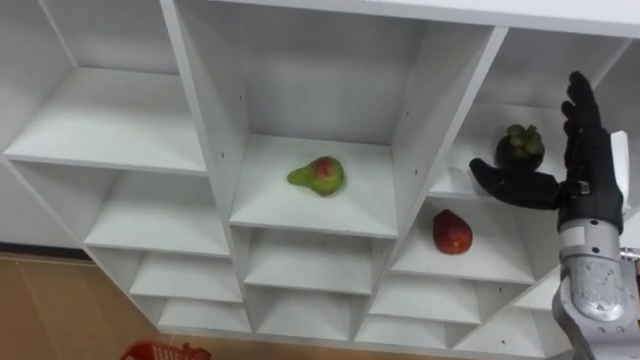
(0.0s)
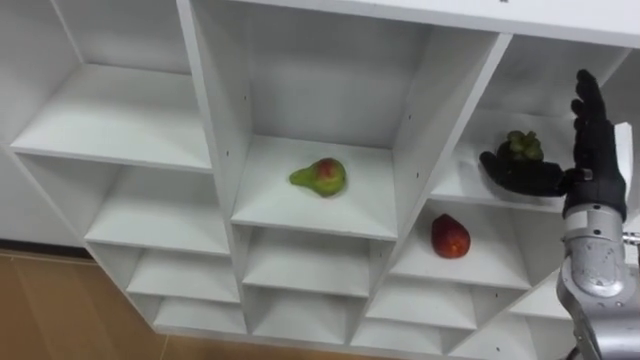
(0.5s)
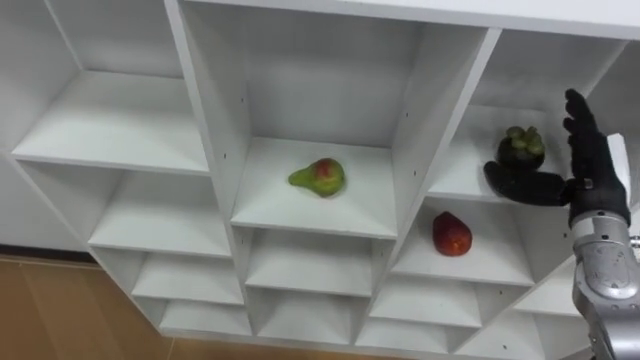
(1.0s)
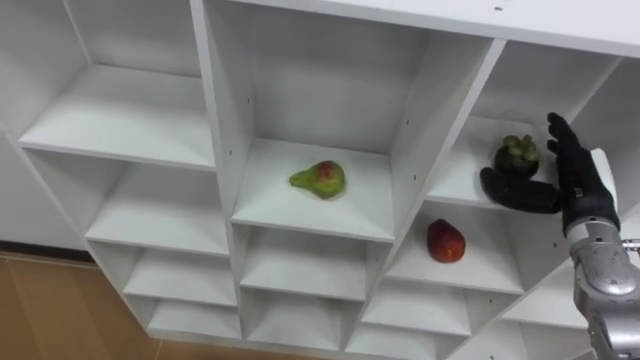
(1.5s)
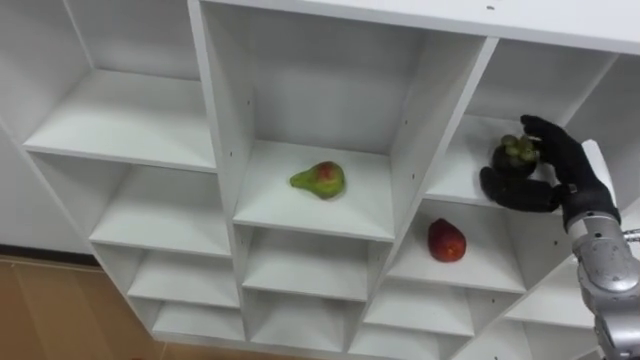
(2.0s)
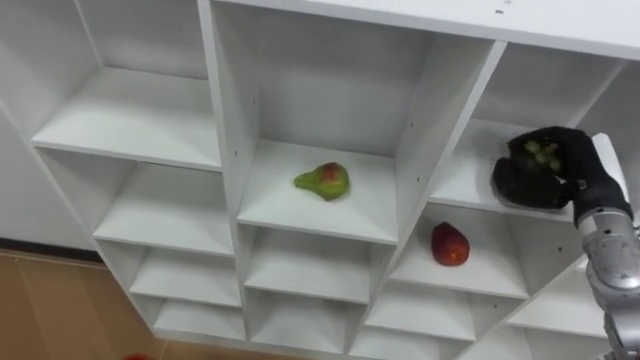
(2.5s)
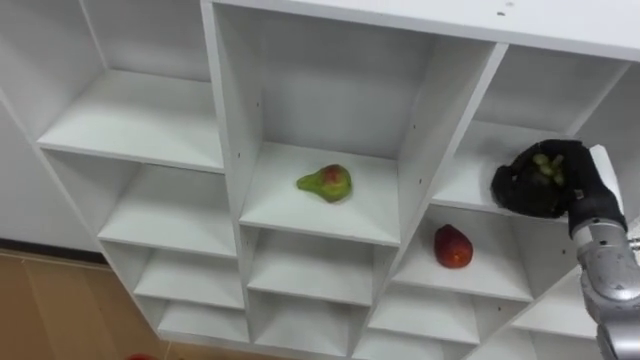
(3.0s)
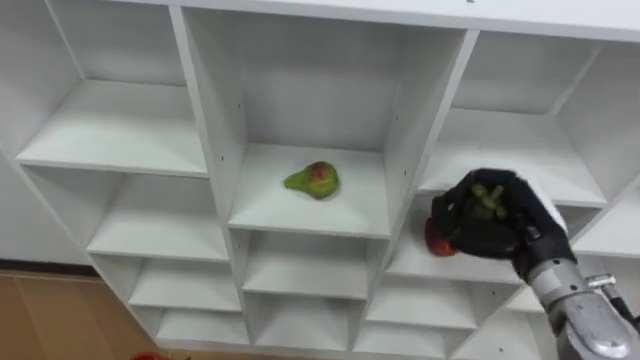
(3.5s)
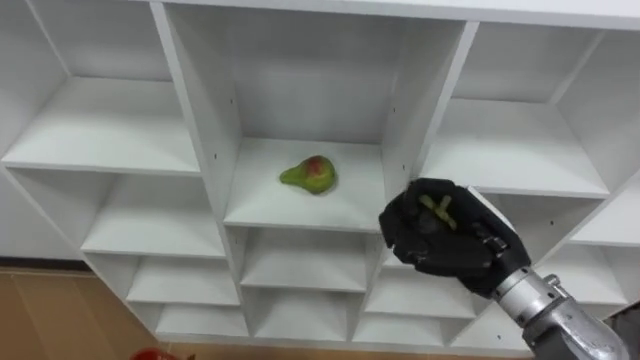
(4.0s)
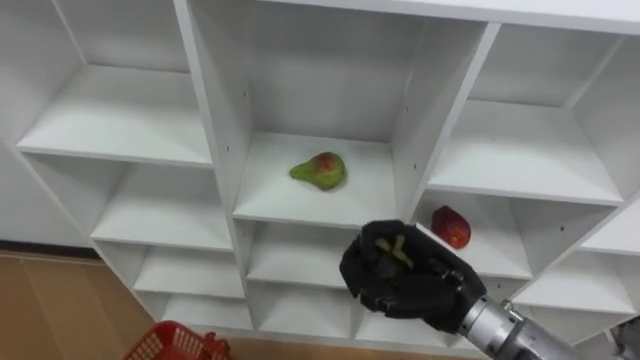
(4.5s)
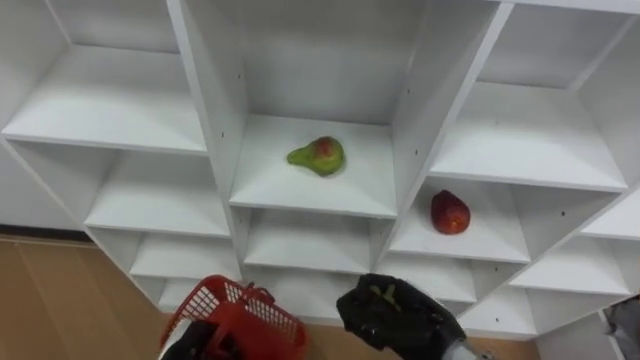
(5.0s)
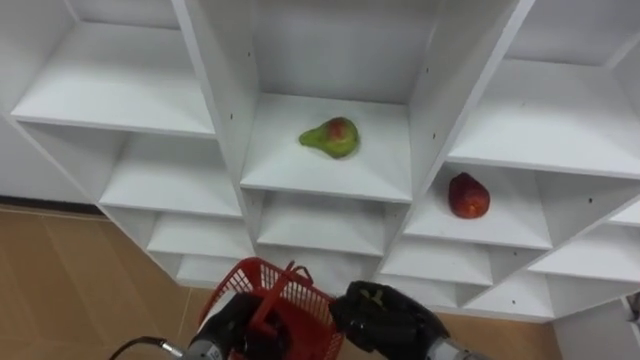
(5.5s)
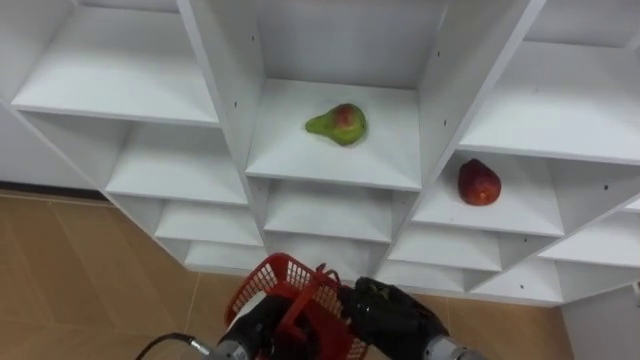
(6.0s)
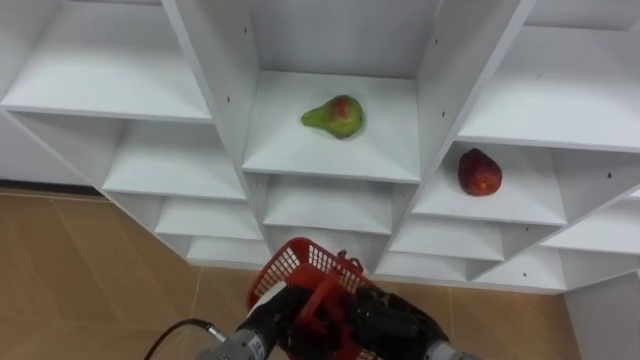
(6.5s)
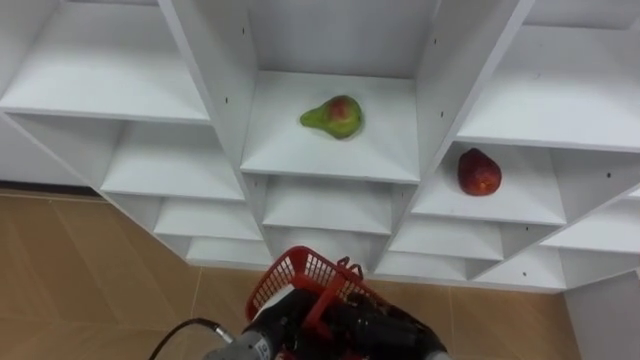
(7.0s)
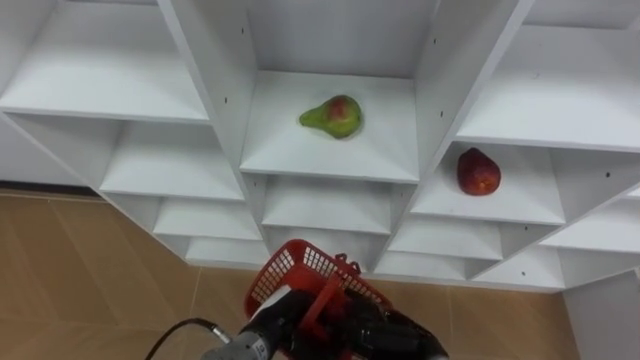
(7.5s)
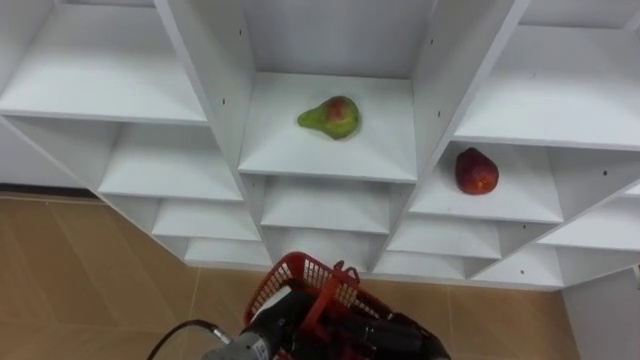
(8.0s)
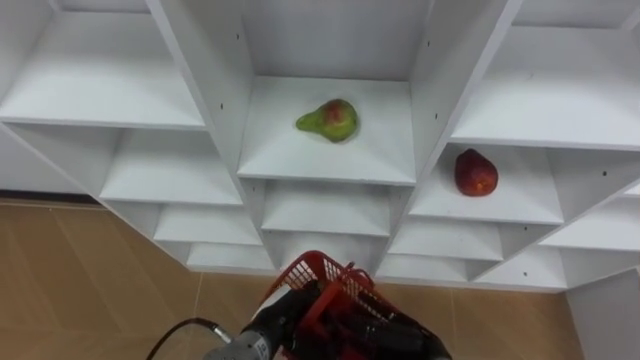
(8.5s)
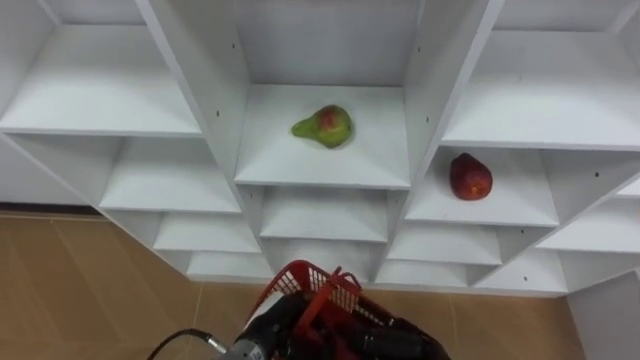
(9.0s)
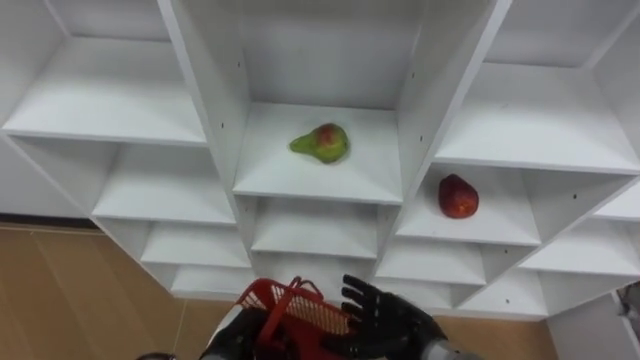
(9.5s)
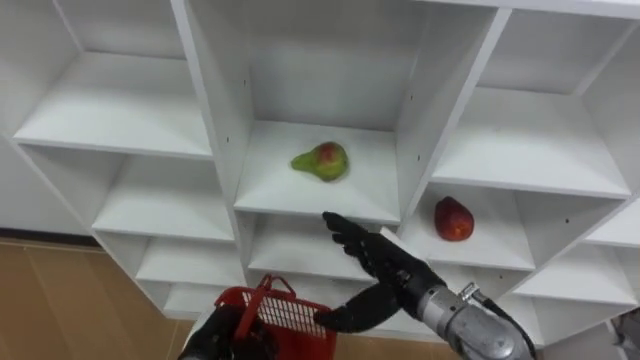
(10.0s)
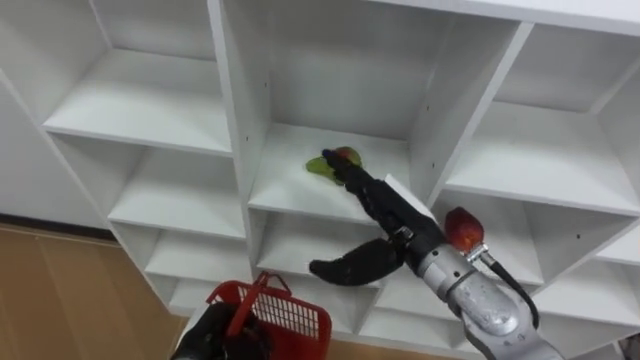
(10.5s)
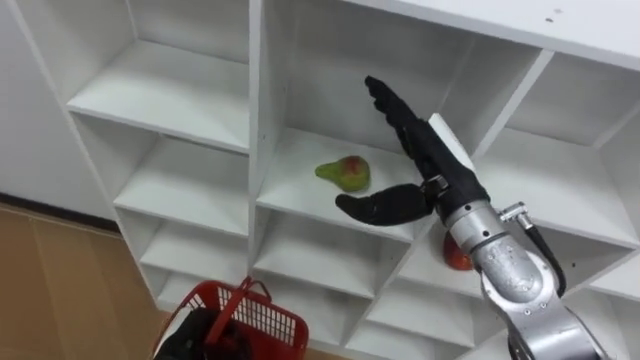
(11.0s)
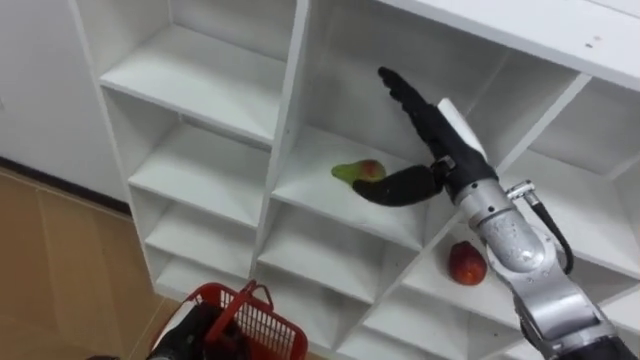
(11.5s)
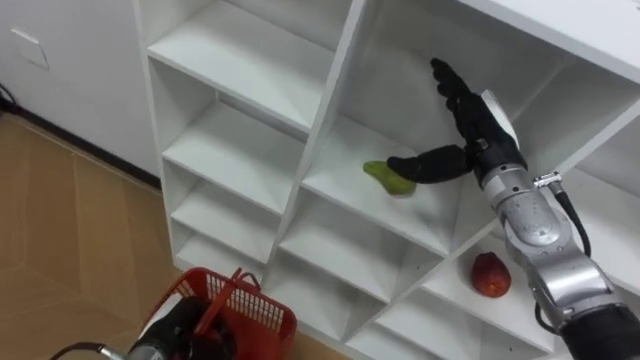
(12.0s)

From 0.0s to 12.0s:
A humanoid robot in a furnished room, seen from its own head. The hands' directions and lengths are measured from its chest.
Task of the whole recording: Hold the basket and collect the fruits from 3 different cells of the closet into it.
From 0.0s to 2.0s: The right hand shifts some 5 cm downward.
From 2.0s to 4.0s: The right hand goes approximately 15 cm to the left and backward, and closes its fingers.
From 4.0s to 6.0s: The right hand goes approximately 20 cm downward and to the left.
From 6.0s to 8.0s: The right hand opens.
From 8.0s to 10.0s: The left hand shifts about 10 cm to the left. The right hand is displaced upward and forward by some 15 cm.
From 10.0s to 12.0s: The left hand is displaced to the left by approximately 5 cm, while the right hand is displaced forward, upward and to the right by approximately 20 cm.

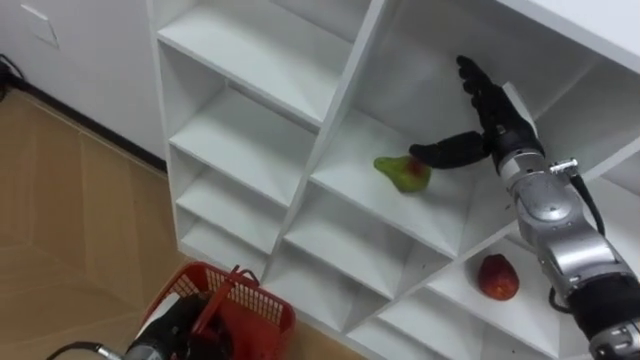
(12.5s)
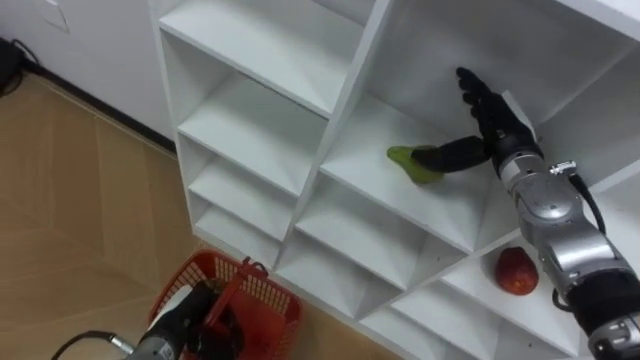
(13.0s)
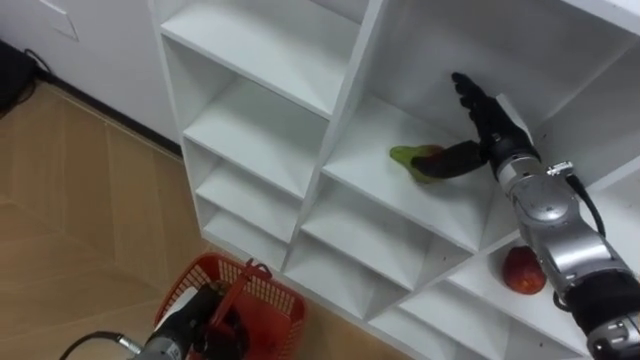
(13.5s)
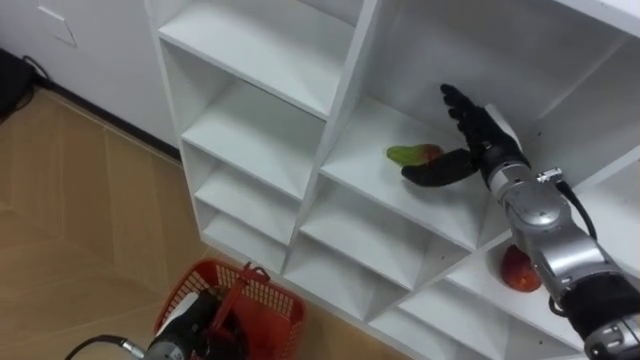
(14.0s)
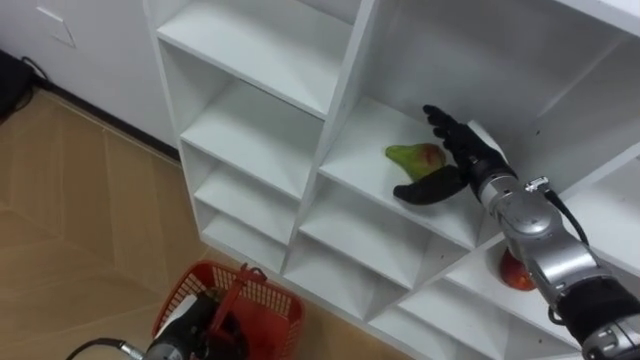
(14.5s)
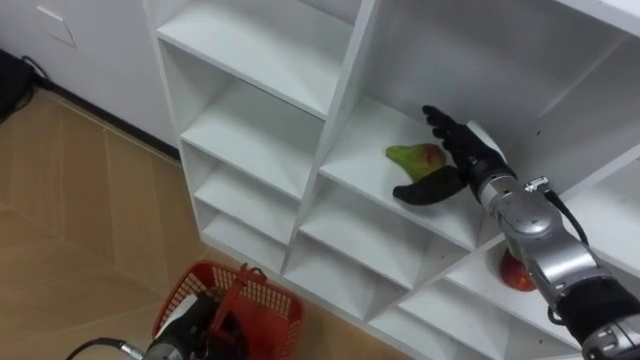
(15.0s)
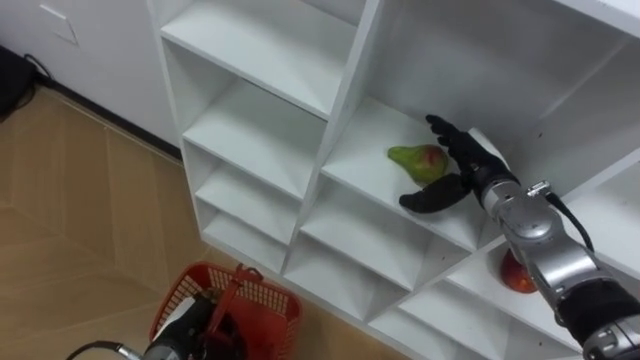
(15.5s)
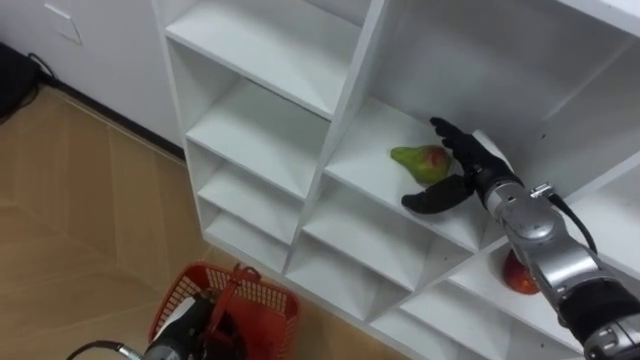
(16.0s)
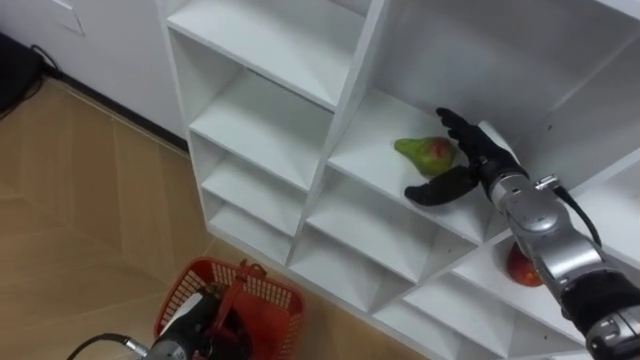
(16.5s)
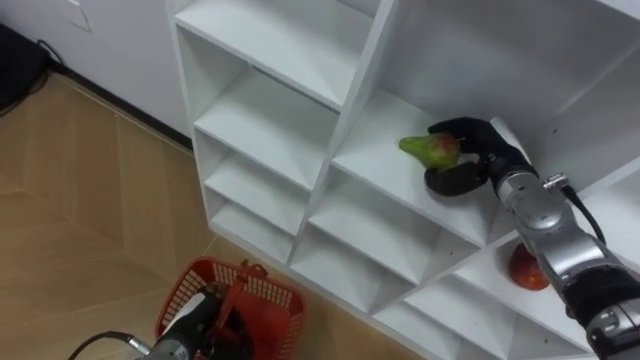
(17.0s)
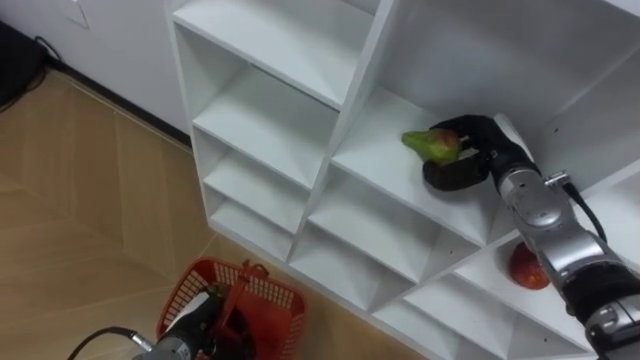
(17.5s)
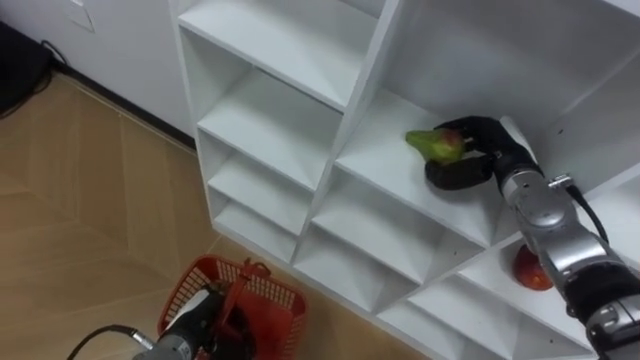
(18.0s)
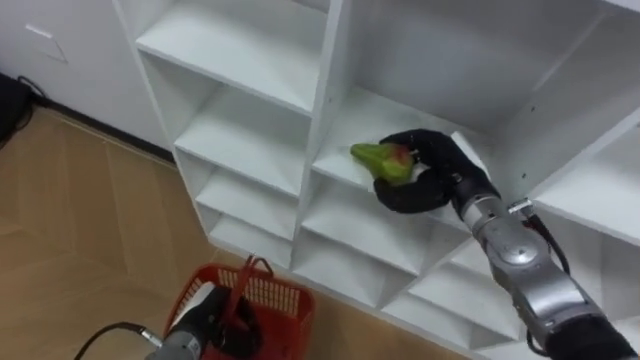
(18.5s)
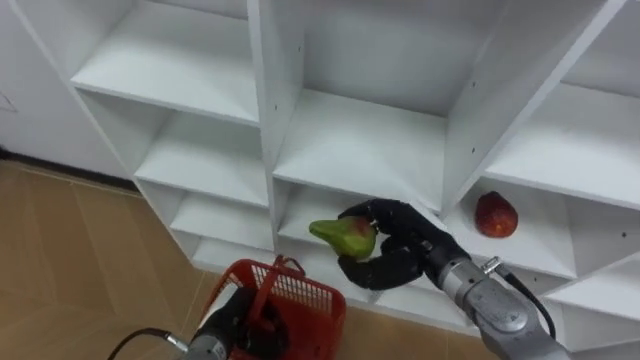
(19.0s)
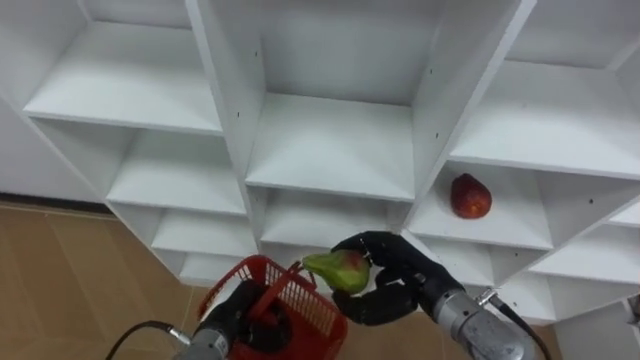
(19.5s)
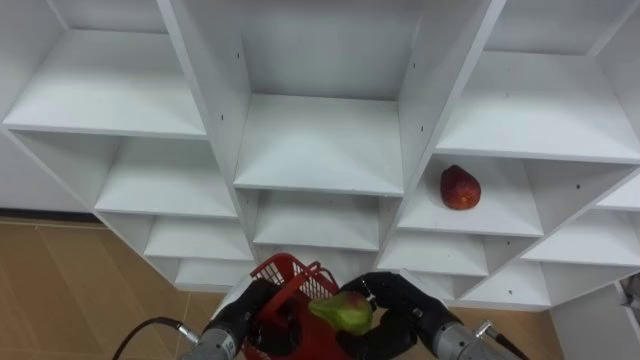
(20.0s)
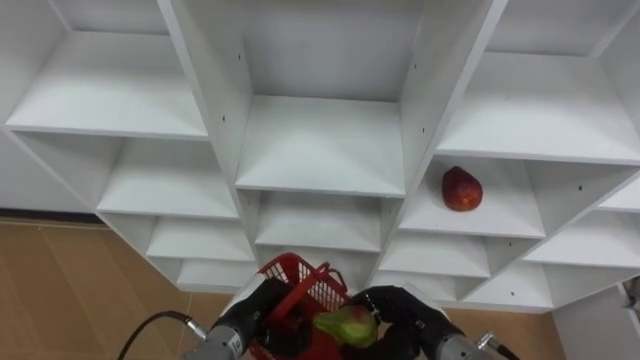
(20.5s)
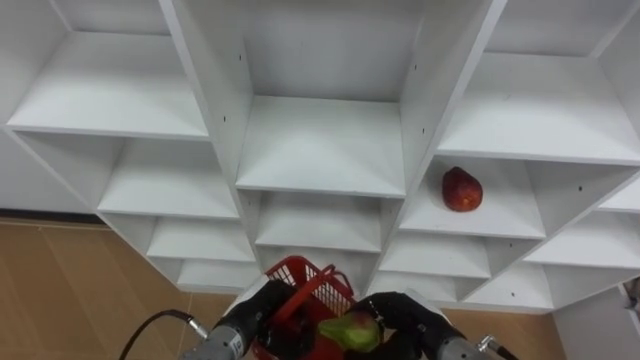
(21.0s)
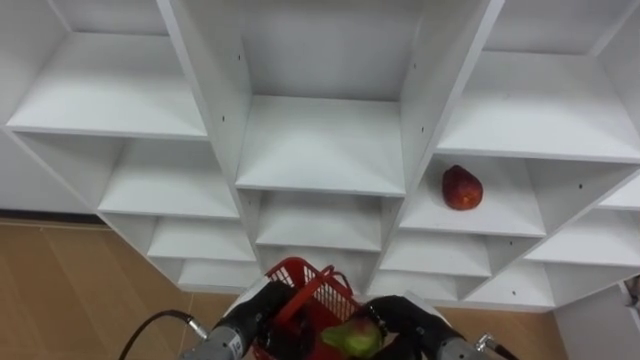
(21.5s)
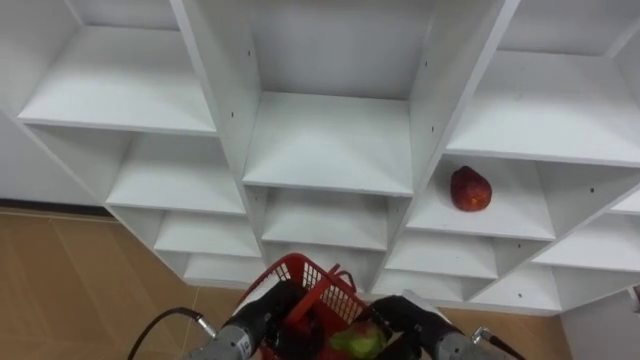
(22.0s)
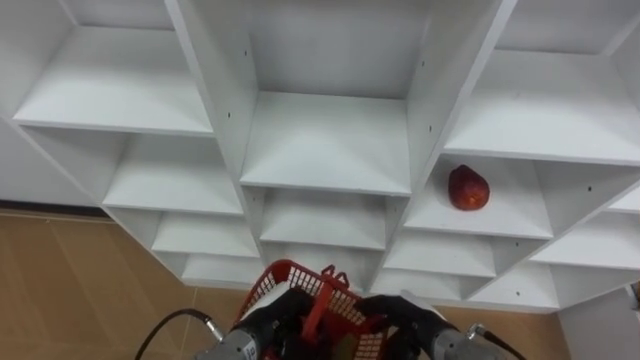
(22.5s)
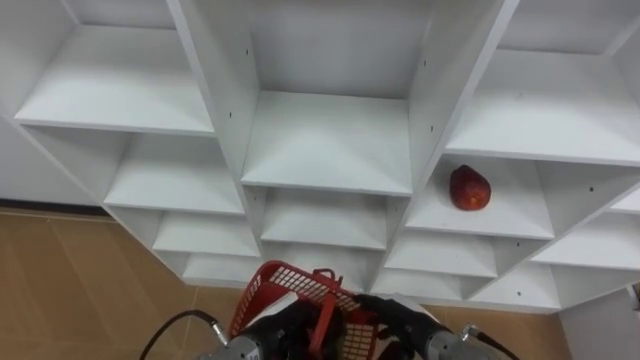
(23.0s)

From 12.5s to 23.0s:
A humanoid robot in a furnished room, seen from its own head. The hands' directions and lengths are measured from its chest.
Task of the whole recording: Hold the basket and collect the fruits from 3 different cells of the closet into it.
From 12.5s to 14.5s: The right hand ends up some 5 cm from where it was.
From 16.5s to 19.0s: The right hand is displaced backward and to the left by roughly 15 cm, and closes up. Meanwhile the left hand moves to the right, about 5 cm.
From 19.0s to 21.0s: The right hand heads downward and backward, covering approximately 15 cm.
From 21.0s to 23.0s: The right hand opens.
